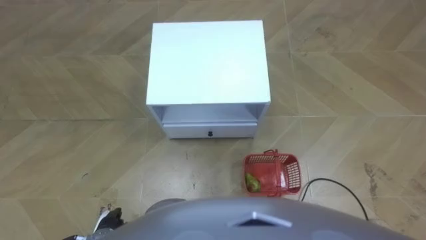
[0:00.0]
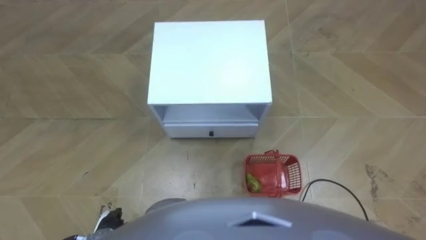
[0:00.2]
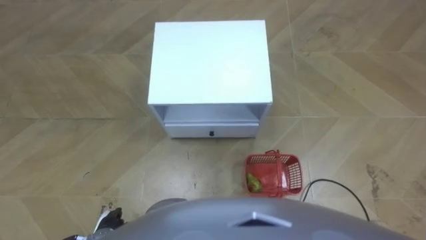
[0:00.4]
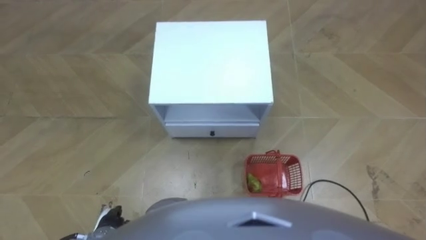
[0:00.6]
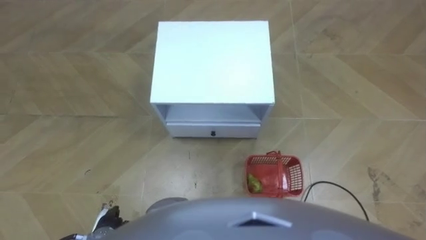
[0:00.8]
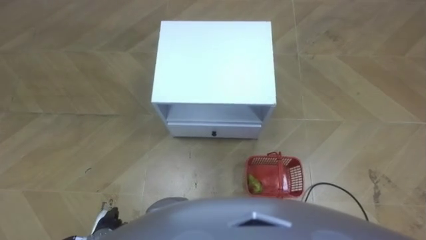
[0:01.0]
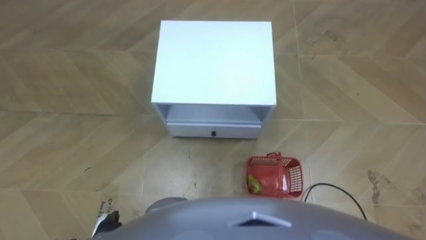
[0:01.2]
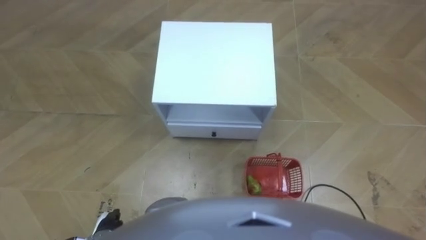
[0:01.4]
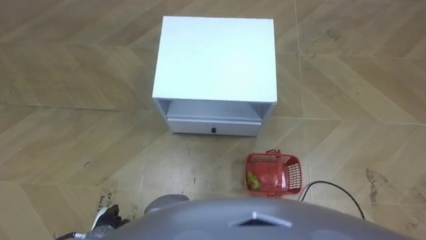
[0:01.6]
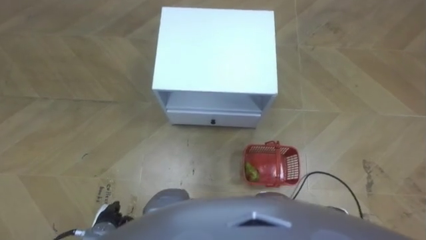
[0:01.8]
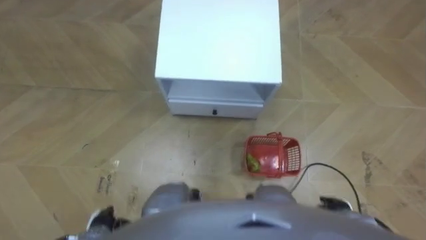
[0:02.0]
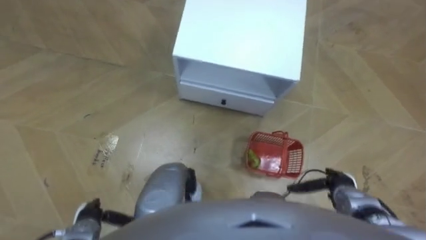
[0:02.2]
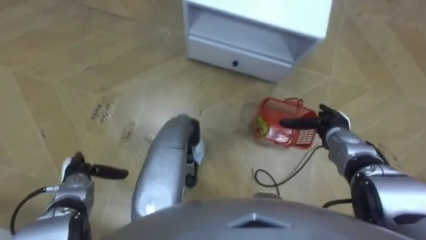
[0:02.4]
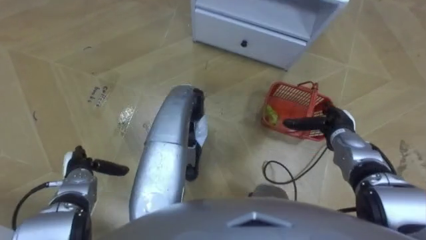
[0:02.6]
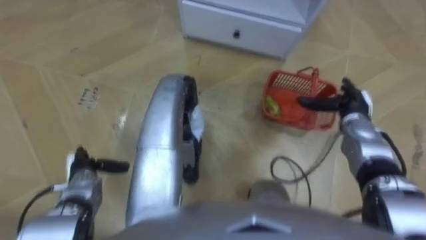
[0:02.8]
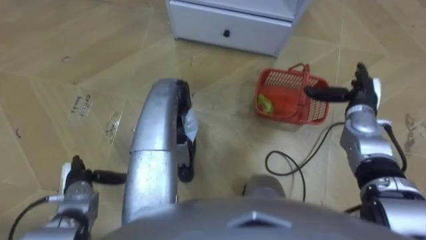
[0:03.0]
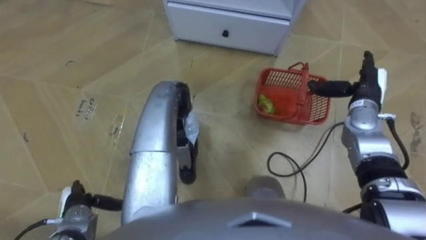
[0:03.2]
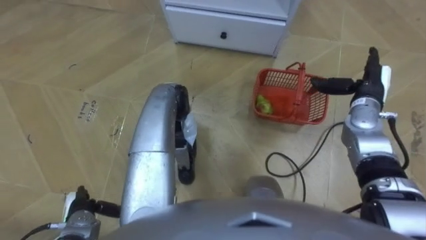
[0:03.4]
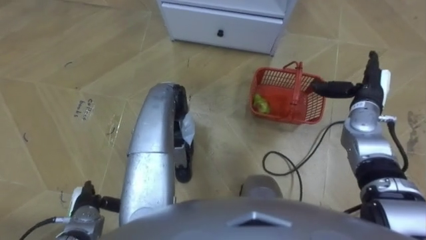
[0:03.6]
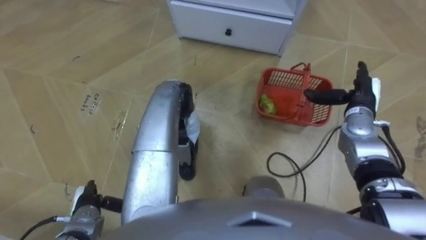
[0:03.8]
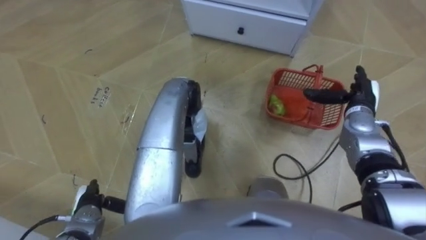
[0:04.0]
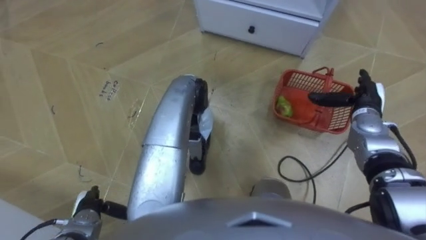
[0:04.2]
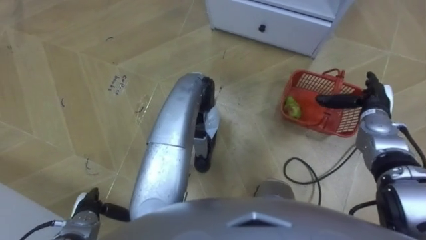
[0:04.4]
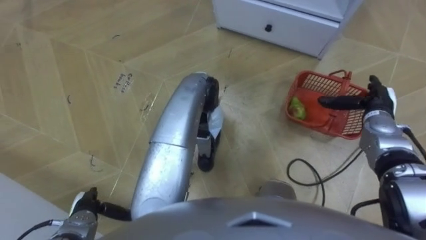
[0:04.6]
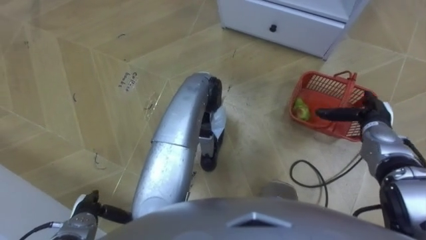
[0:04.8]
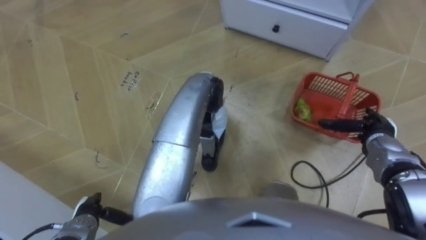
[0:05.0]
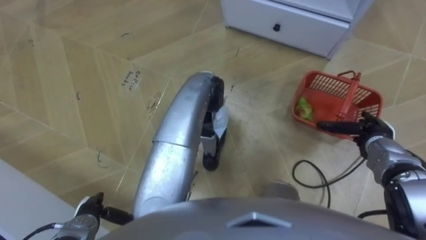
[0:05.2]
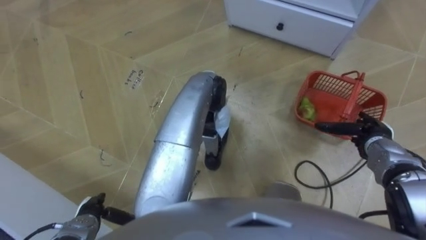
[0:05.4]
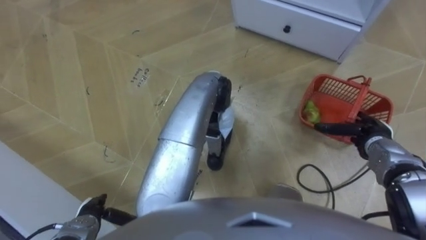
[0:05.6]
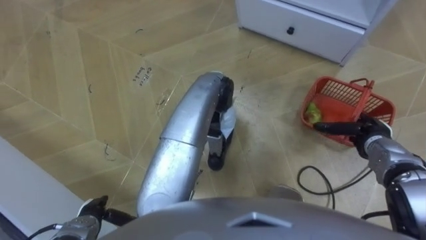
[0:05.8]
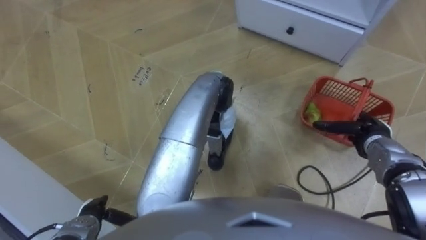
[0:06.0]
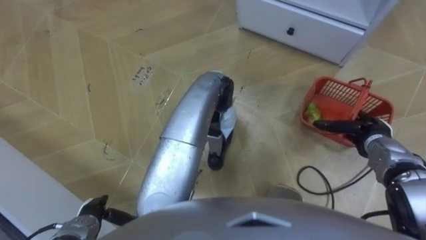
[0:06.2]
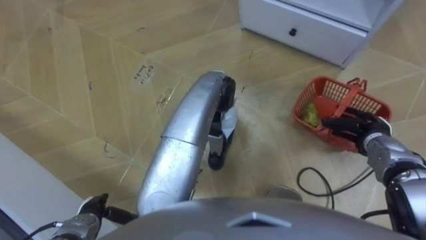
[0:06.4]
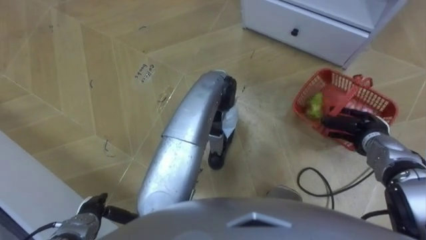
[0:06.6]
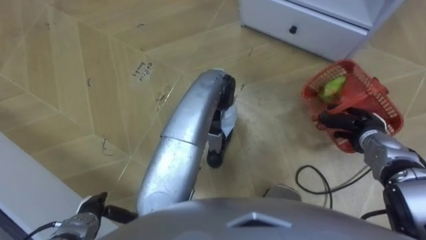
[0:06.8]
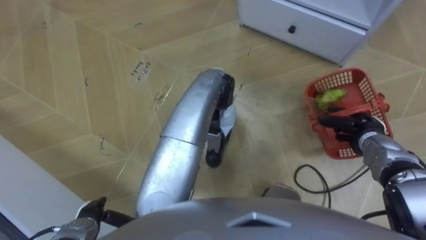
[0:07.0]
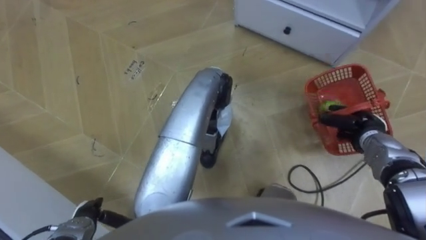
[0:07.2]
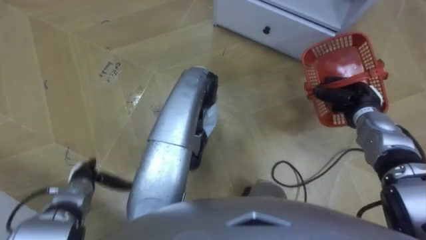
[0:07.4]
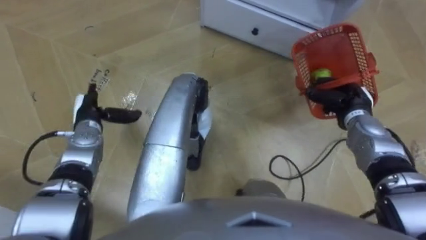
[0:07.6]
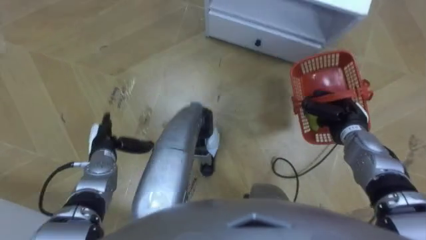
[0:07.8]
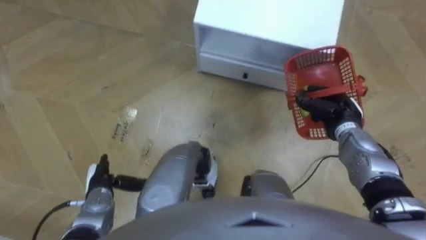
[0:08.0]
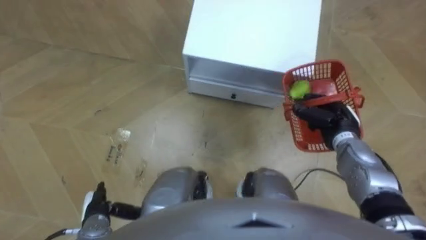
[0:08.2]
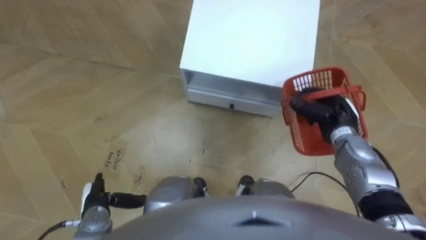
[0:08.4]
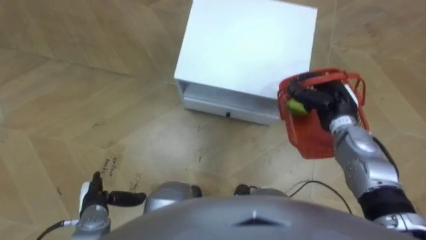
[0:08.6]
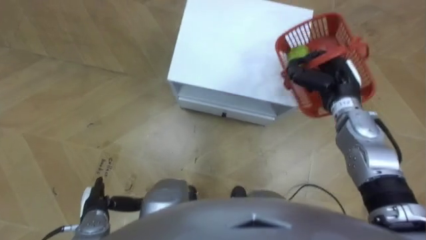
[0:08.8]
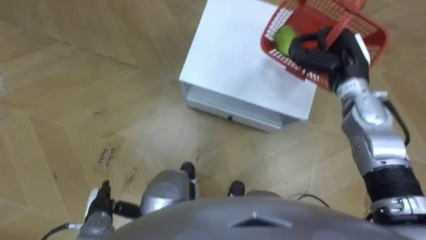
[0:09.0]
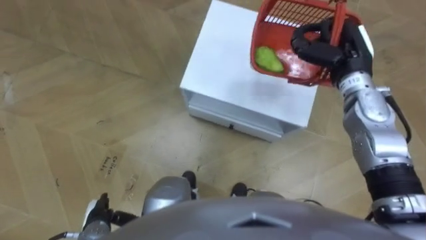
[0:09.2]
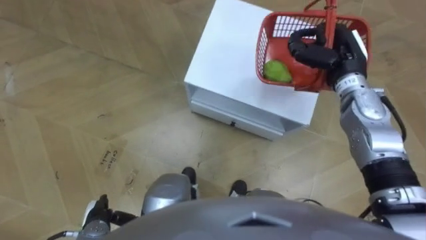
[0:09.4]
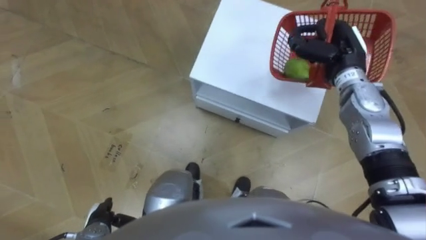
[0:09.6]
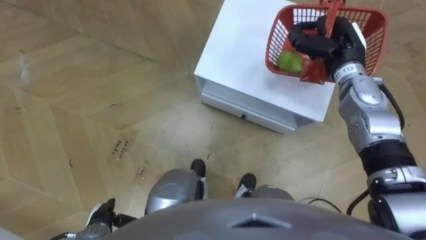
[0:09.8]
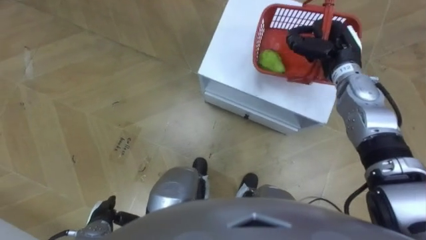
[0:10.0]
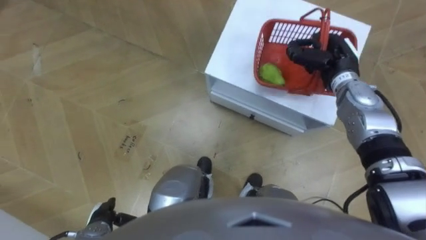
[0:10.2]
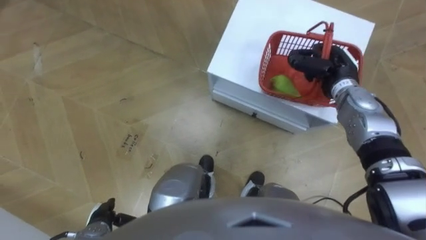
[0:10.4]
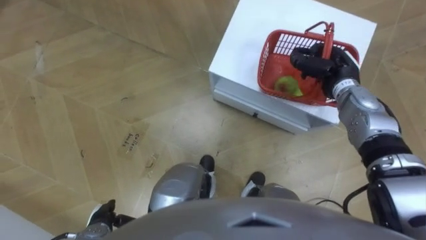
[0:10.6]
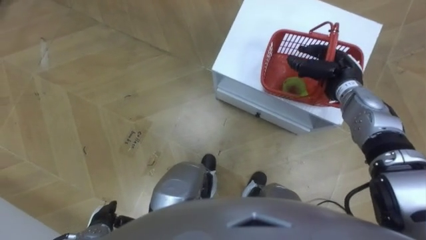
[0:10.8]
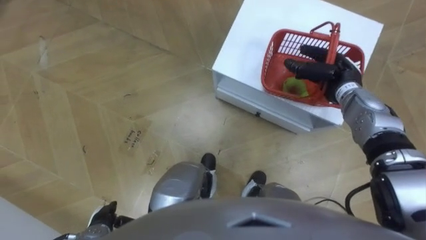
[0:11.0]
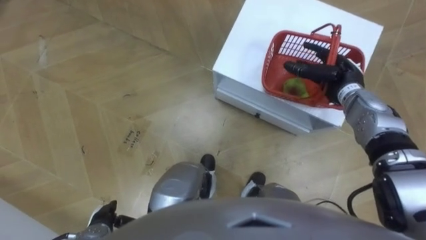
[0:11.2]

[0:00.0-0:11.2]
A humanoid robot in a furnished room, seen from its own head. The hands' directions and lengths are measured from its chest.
Task of the whole recording: Pick up the fruit basket from the floor and place it on the cabinet.
0:01.6 to 0:03.2: The right hand moves forward and upward, some 30 cm. Meanwhile the left hand is displaced to the left and forward by approximately 10 cm.
0:03.2 to 0:04.8: The right hand heads downward, covering some 5 cm.
0:04.8 to 0:06.4: The right hand closes.
0:06.4 to 0:08.0: The right hand moves to the left, some 5 cm, and closes its fingers. The left hand heads forward, covering about 10 cm.
0:08.0 to 0:09.6: The left hand is displaced backward by some 10 cm; the right hand travels upward and forward by approximately 15 cm.
0:09.6 to 0:11.2: The right hand moves downward, roughly 5 cm, and opens.

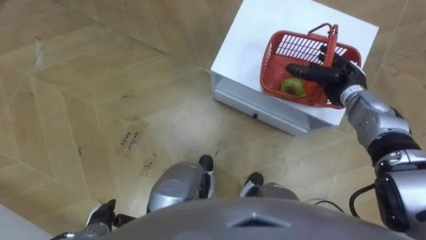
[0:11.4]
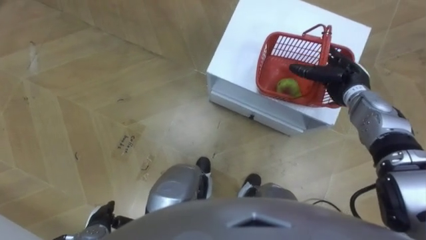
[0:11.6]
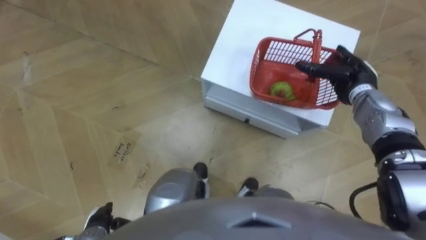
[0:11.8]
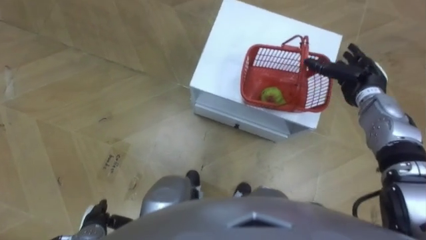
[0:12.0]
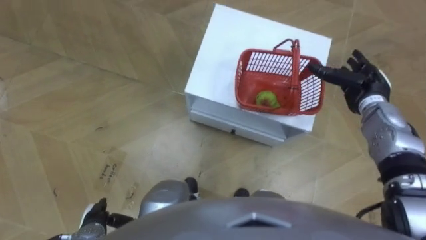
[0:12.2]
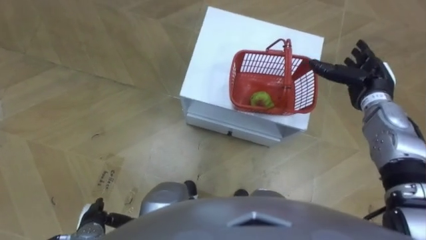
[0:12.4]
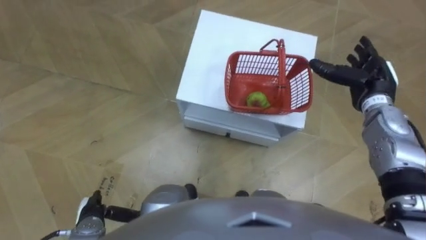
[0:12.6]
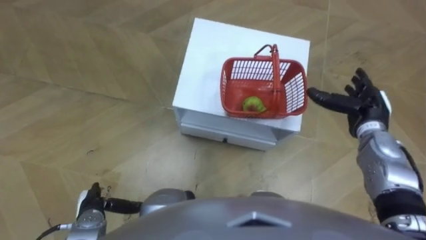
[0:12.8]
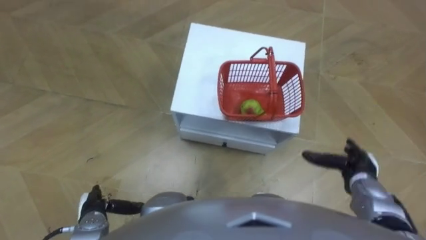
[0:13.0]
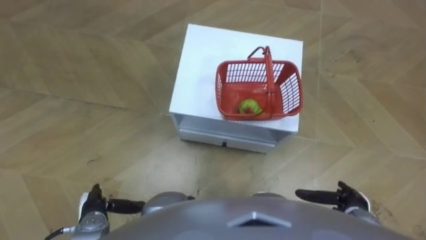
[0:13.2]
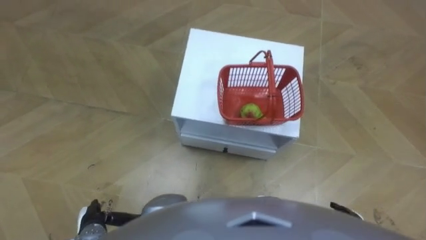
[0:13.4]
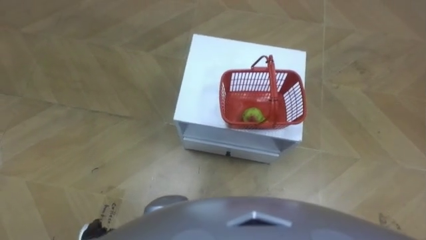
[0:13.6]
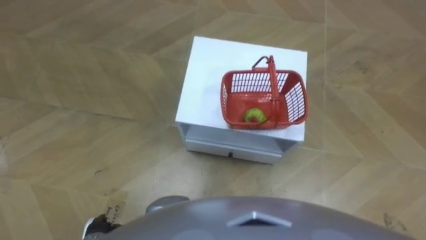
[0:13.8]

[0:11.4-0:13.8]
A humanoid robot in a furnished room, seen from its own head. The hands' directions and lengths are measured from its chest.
Task of the whole recording: Pick up the fruit basket from the floor and place it on the cabinet.
0:11.4 to 0:12.6: The right hand changes place by some 5 cm.

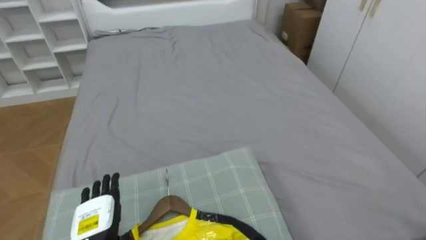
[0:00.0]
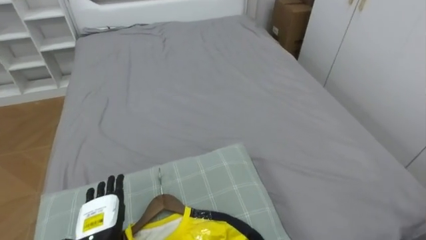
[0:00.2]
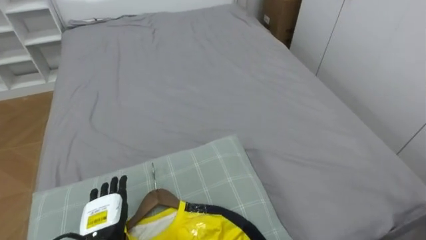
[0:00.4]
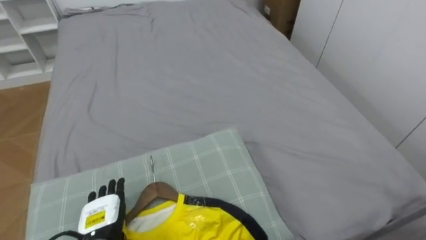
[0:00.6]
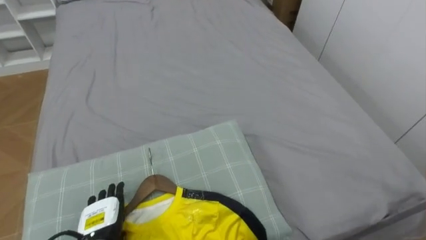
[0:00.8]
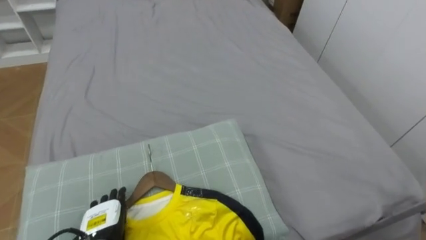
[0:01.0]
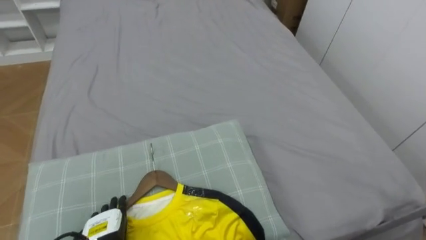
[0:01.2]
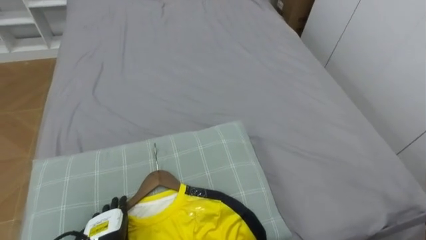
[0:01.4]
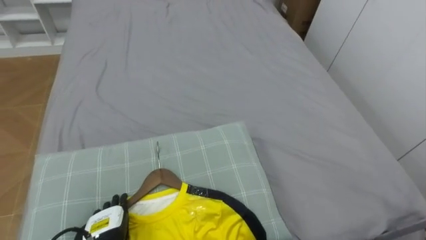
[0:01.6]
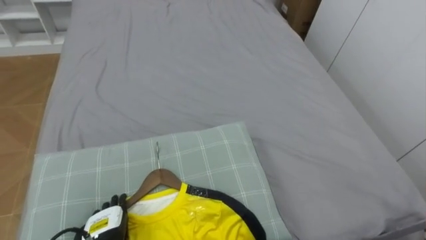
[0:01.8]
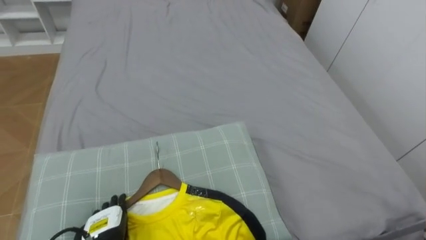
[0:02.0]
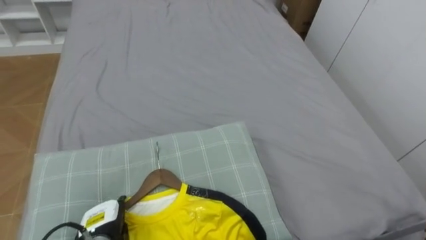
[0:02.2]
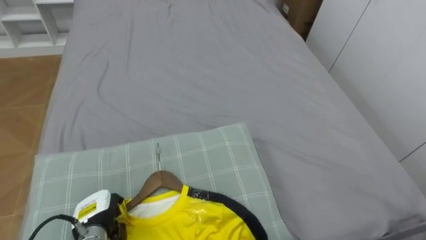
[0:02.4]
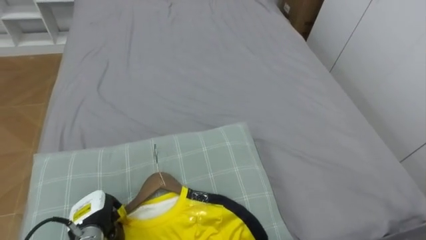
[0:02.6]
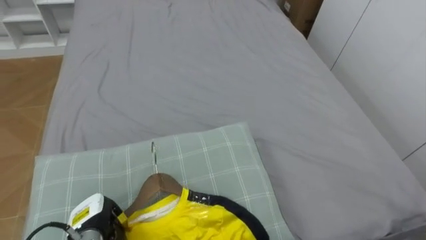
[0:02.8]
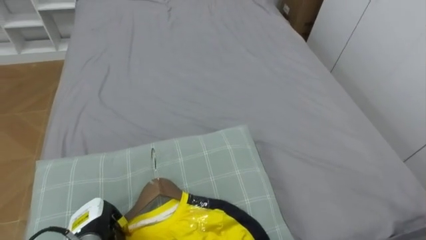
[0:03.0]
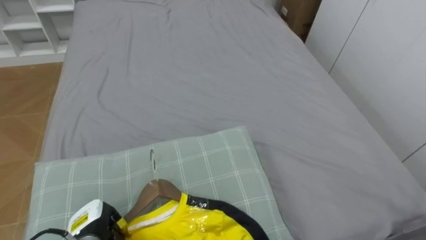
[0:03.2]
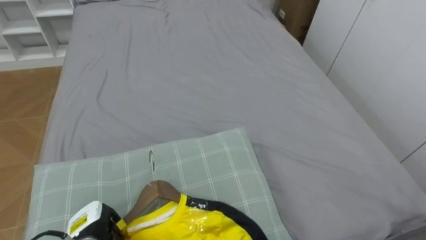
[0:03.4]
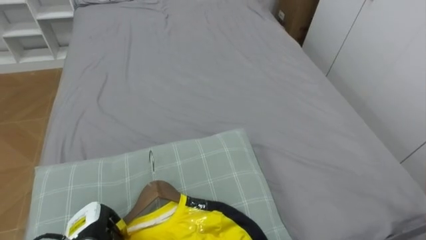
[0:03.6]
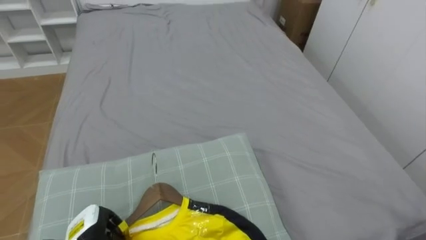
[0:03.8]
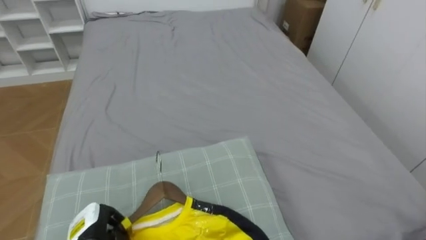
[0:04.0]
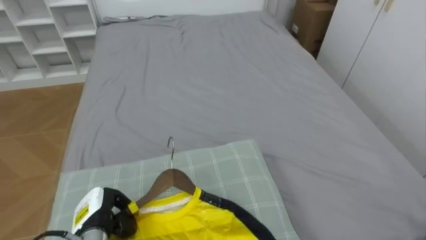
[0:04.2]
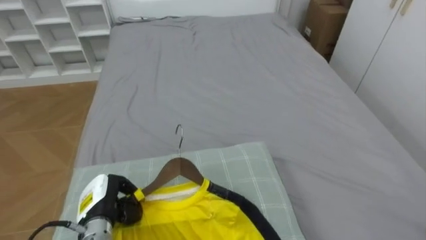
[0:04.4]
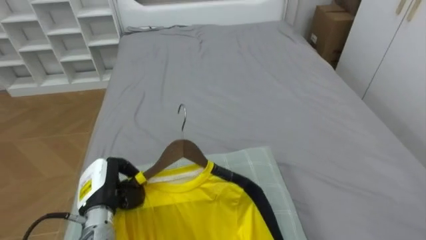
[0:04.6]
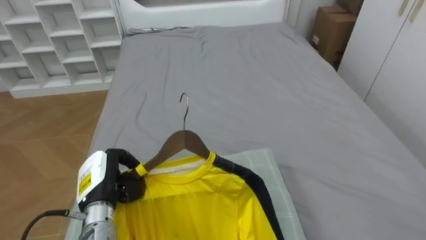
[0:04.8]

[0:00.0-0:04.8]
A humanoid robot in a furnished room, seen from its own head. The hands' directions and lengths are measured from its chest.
Task of the whole recording: Pick up the yellow shirt on the bed and hang it on the clothes rack on the right.
0:01.6 to 0:03.2: The left hand closes.
0:03.2 to 0:04.8: The left hand heads upward, covering roughly 10 cm.
